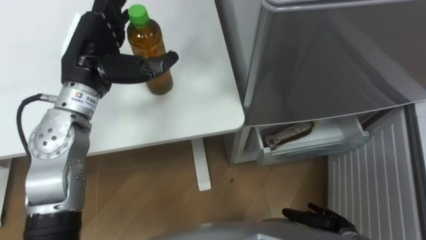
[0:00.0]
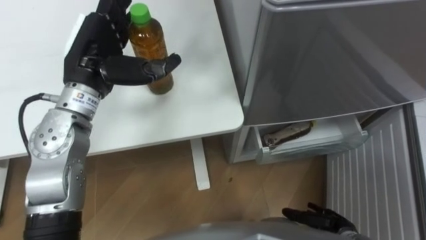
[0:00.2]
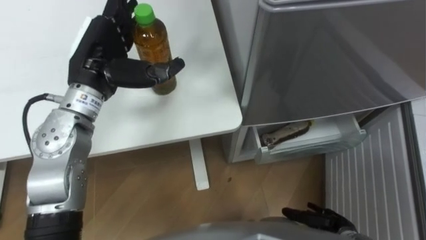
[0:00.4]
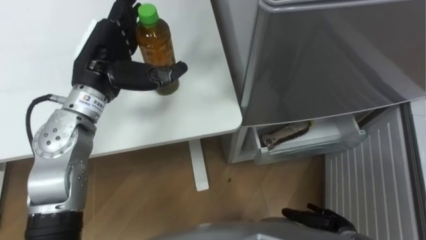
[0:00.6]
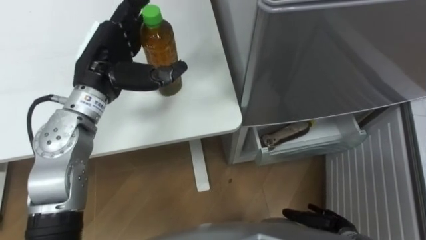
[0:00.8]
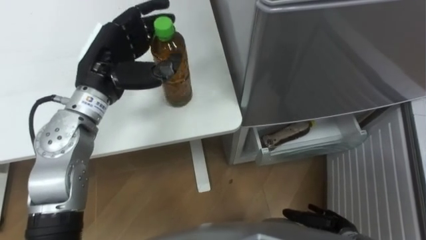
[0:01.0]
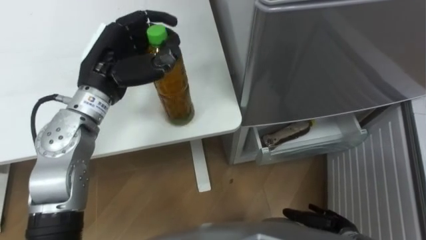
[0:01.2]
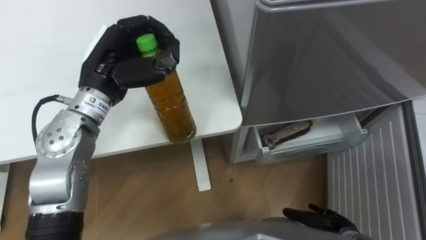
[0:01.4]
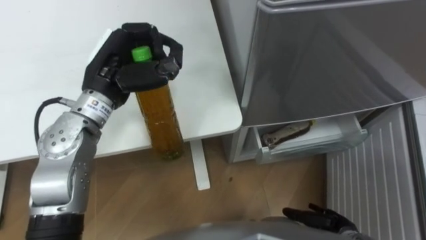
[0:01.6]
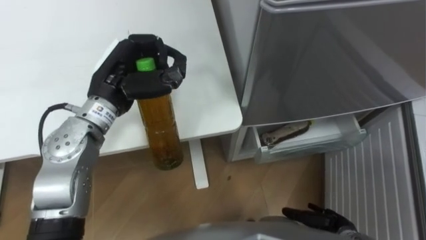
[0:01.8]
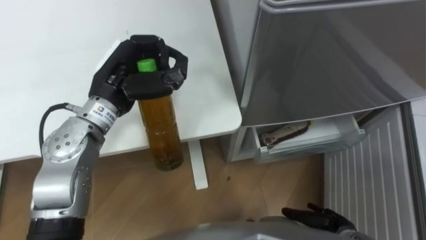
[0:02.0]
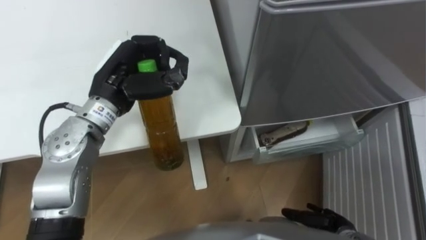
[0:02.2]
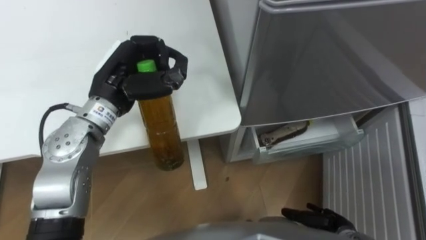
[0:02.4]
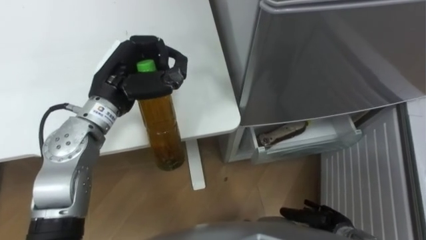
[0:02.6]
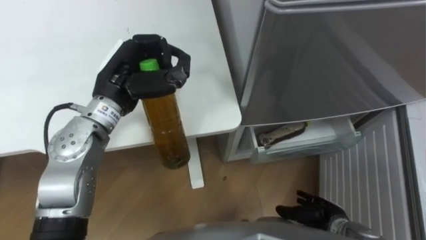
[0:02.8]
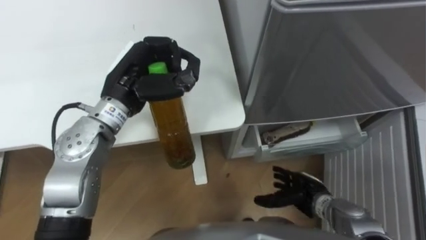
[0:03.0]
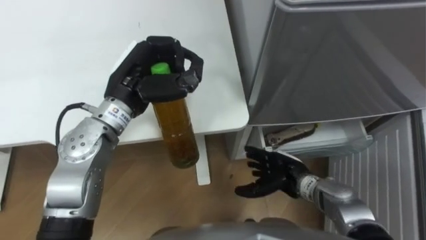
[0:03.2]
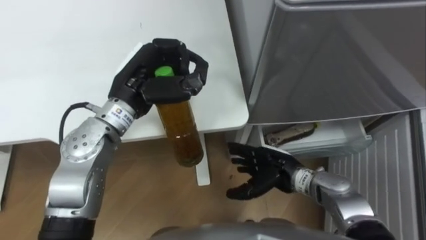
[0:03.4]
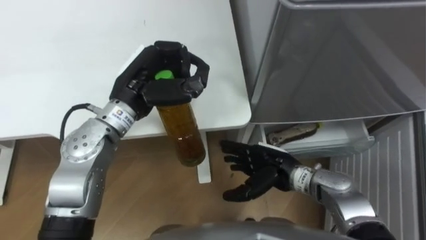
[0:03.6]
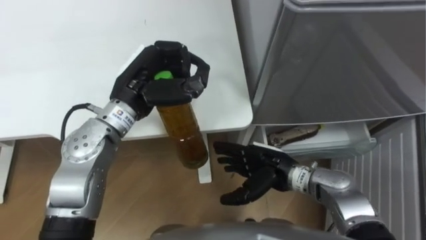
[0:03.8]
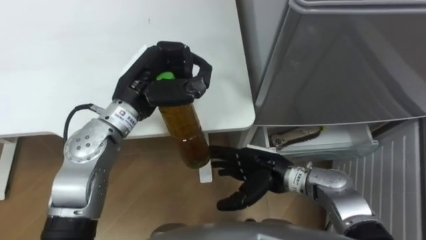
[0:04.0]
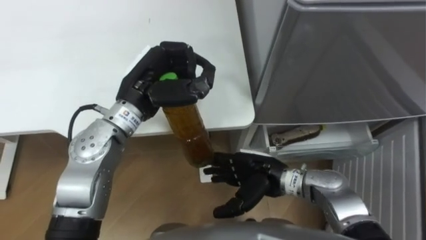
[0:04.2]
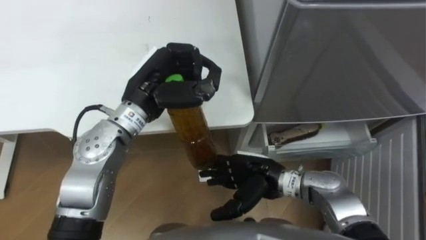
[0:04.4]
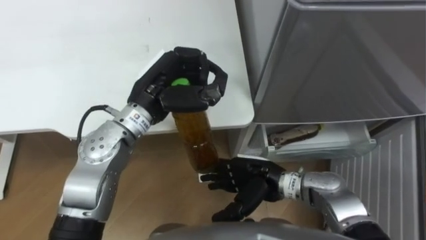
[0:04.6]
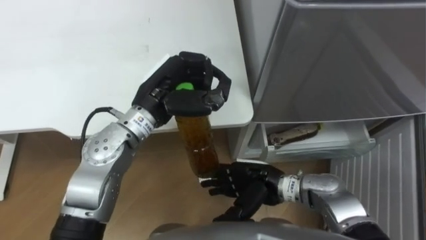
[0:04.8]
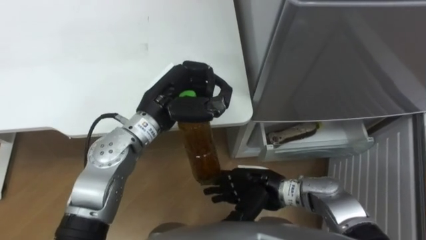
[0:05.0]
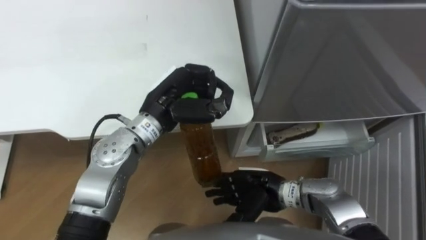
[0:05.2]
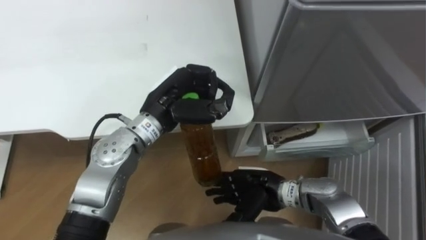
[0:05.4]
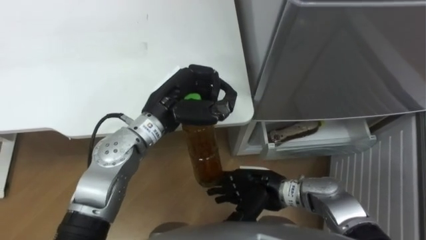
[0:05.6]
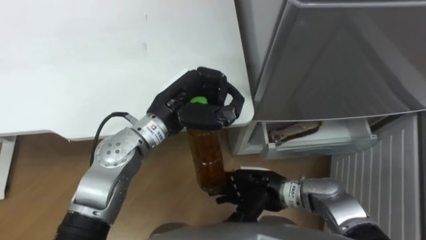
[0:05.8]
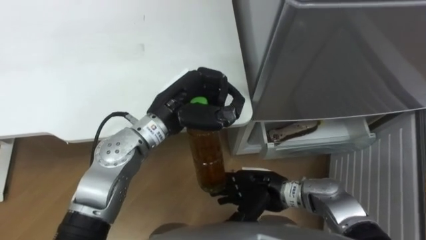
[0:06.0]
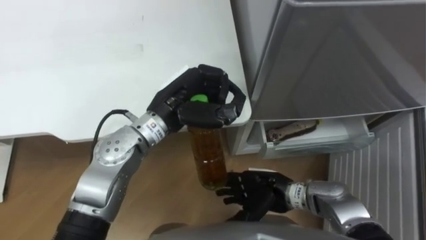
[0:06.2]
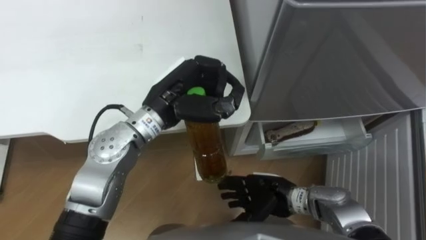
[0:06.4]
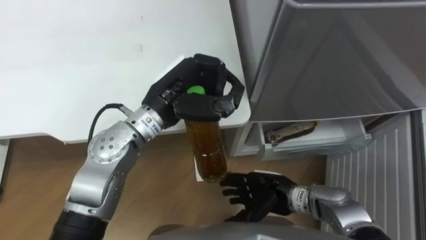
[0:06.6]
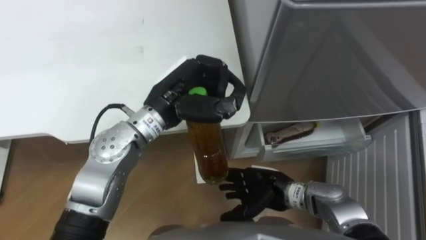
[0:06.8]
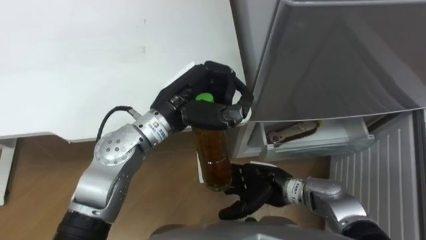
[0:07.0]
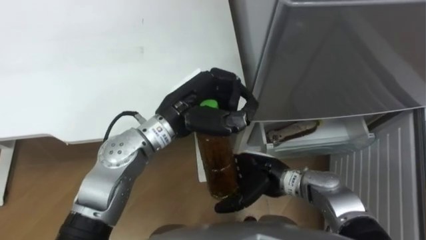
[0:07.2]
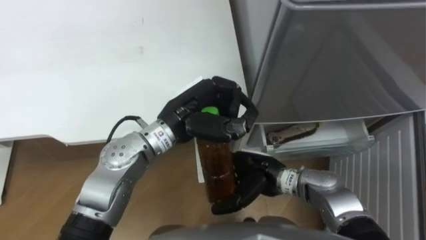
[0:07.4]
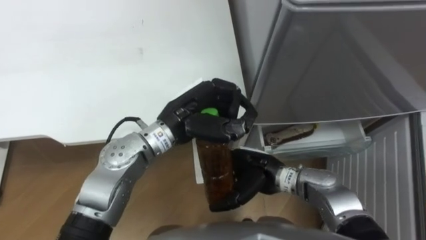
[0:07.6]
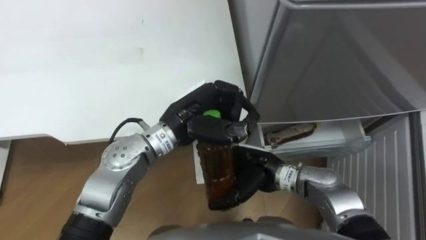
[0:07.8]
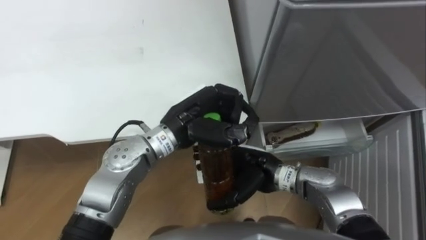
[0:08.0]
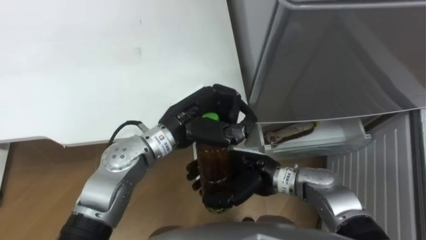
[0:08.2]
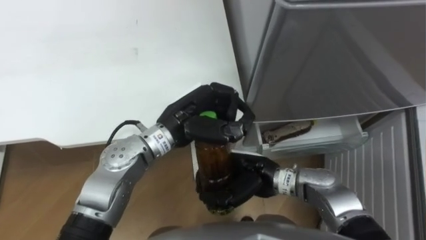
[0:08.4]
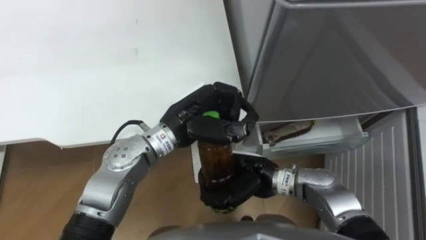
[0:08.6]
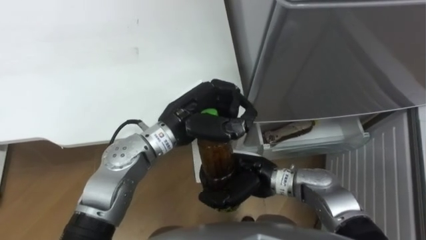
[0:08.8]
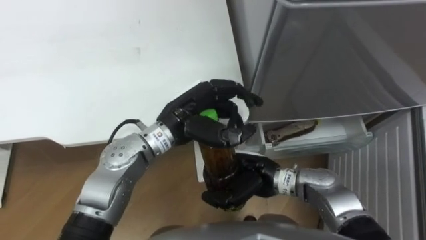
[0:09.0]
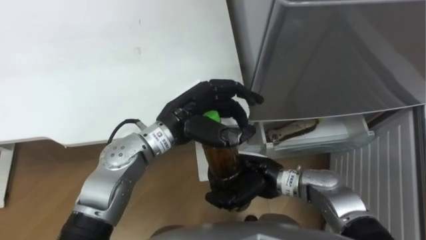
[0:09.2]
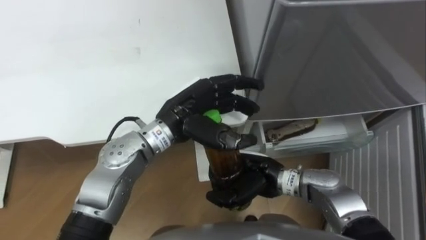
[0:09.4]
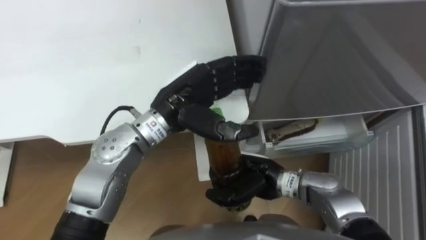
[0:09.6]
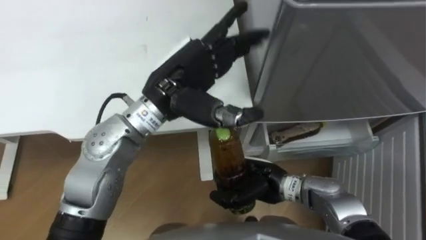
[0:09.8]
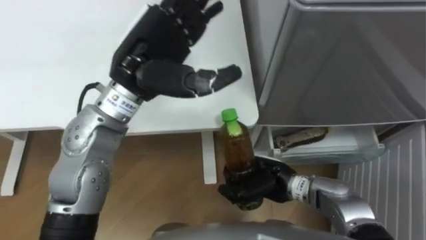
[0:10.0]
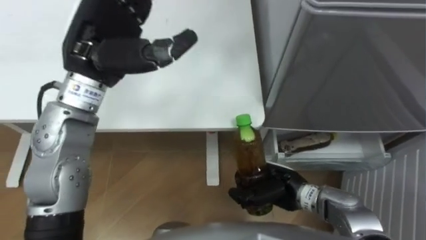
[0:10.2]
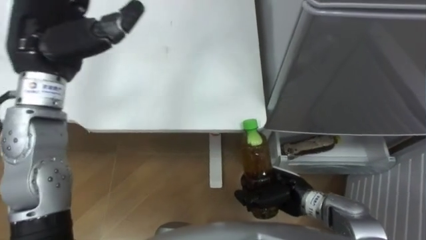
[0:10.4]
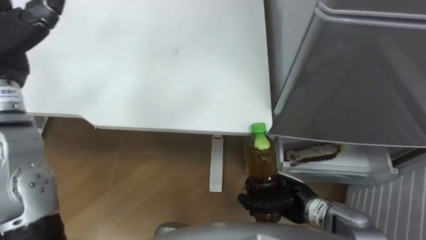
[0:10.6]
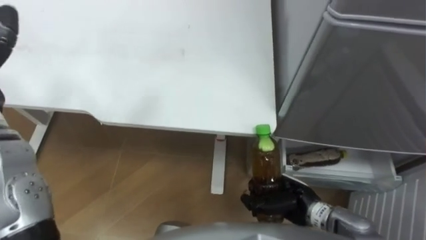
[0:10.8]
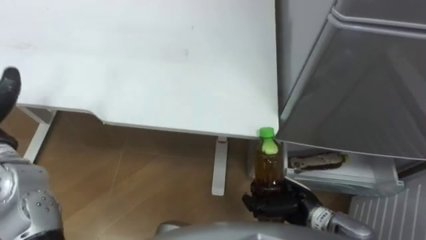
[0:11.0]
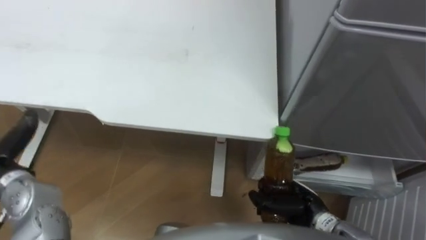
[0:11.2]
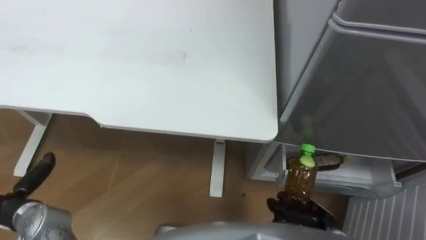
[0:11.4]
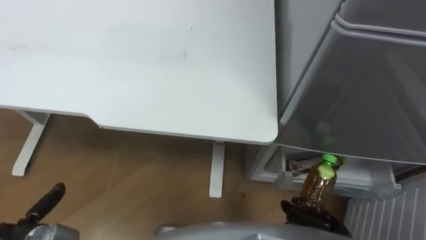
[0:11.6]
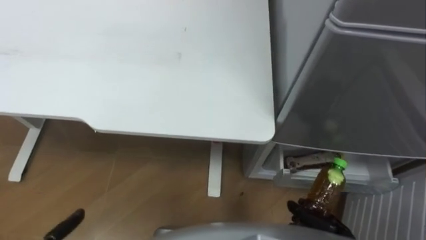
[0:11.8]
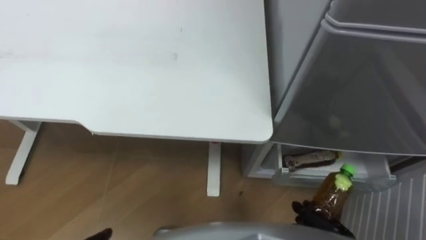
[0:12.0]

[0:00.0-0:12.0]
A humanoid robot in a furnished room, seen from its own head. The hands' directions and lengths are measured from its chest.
Task of the whole recording: Place the drink on the table on the bottom shelf of the refrigerator, then close the drawer and the refrigerator door.
0:00.0 to 0:01.6: The left hand closes its fingers.
0:01.6 to 0:03.0: The right hand travels forward by some 5 cm.
0:03.0 to 0:04.4: The right hand travels to the left and upward by roughly 15 cm.
0:04.4 to 0:06.0: The left hand ends up about 5 cm from where it was.
0:07.6 to 0:09.0: The right hand closes its fingers.
0:09.0 to 0:10.4: The left hand travels to the left and upward by approximately 20 cm, and opens up, while the right hand heads to the right and downward, covering approximately 10 cm.
0:10.4 to 0:12.0: The right hand moves backward, to the right and downward, about 15 cm.

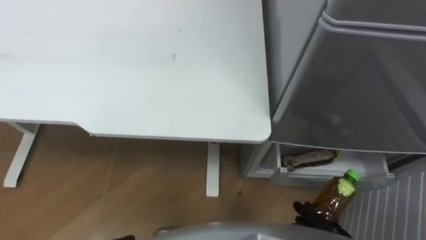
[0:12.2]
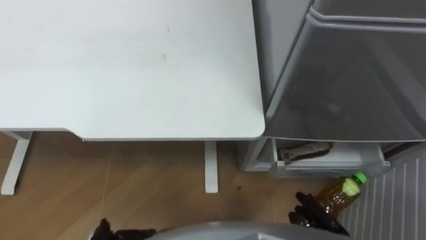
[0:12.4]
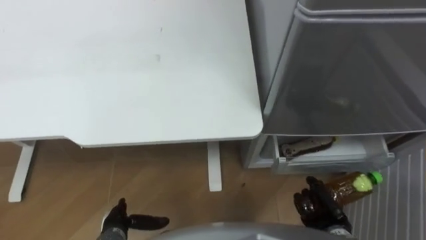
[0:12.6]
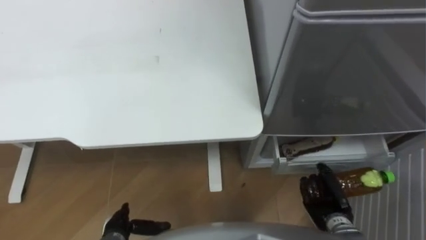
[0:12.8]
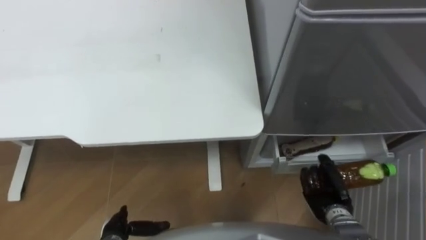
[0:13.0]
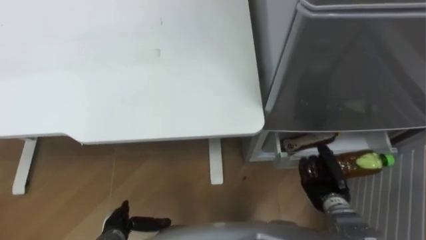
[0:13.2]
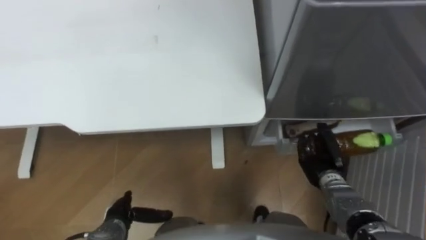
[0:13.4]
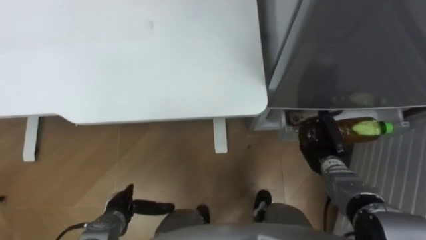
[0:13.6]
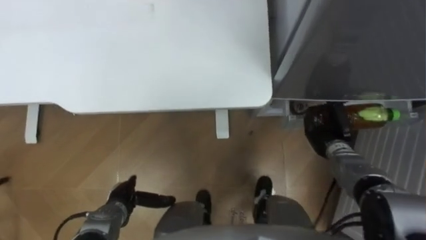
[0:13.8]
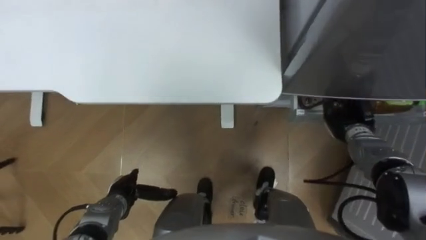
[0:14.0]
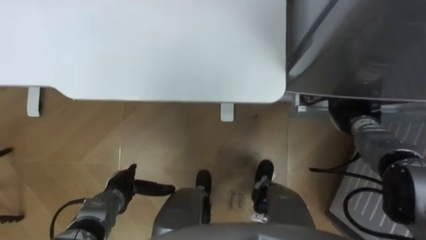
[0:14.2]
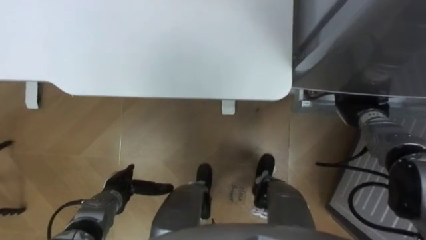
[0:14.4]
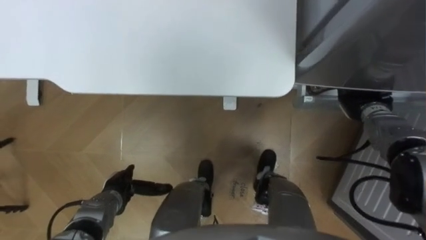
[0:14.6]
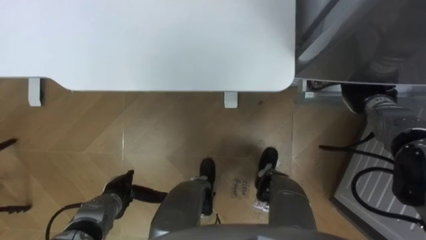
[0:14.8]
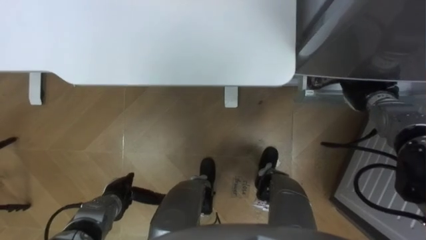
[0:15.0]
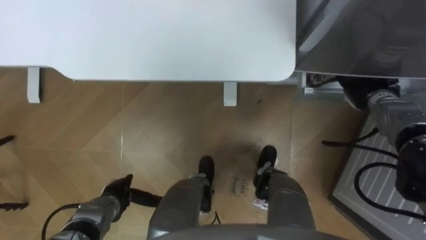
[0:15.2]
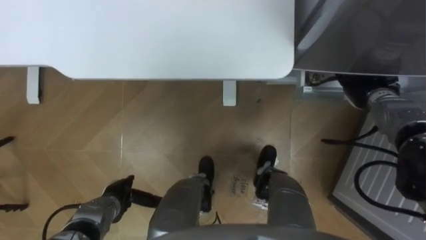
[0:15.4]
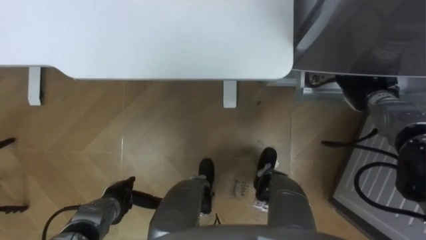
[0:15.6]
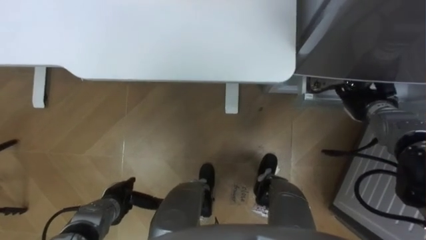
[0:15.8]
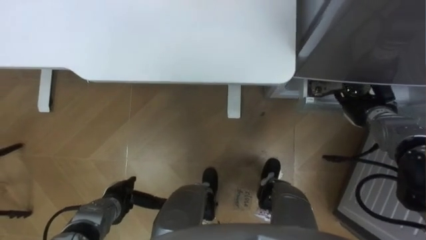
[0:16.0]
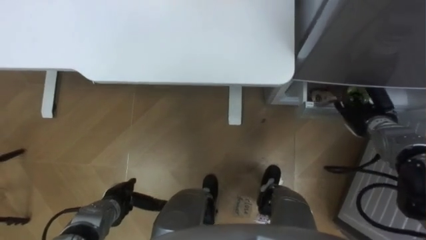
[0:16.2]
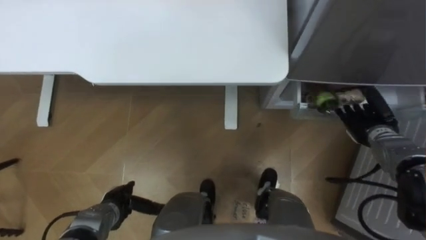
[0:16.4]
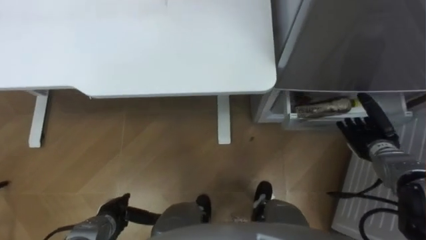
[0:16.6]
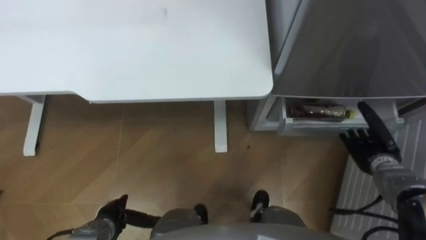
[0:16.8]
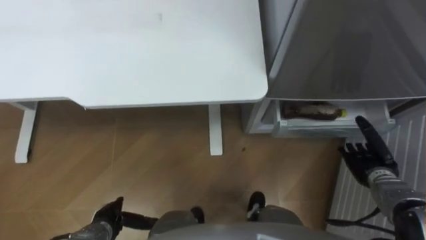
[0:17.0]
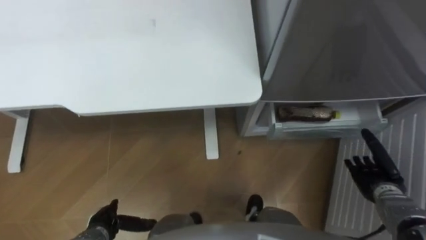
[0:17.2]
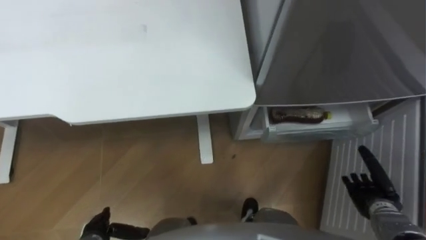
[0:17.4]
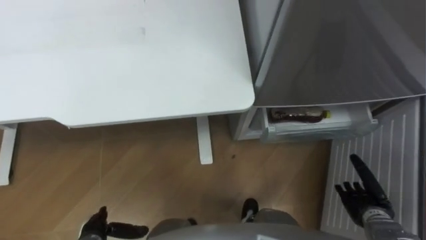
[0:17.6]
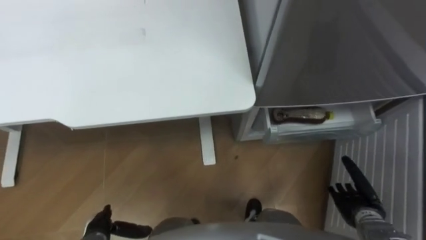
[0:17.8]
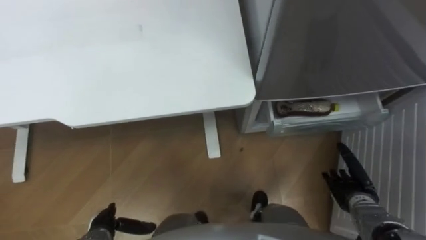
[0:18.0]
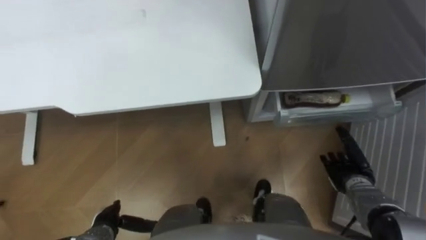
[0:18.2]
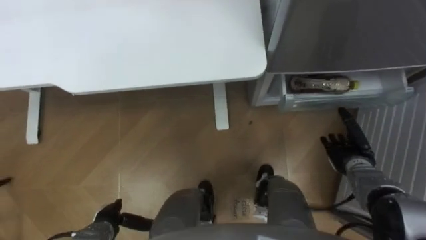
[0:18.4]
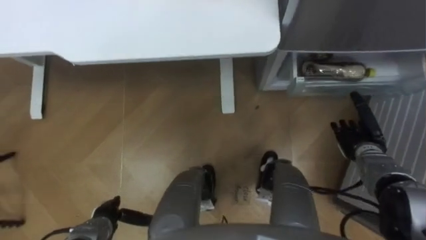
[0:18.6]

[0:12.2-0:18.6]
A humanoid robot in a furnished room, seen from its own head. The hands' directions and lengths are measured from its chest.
Task of the whole recording: Place the drink on the table on the bottom shelf of the refrigerator, then close the drawer and the refrigerator door.
0:12.2 to 0:13.8: The right hand goes about 20 cm forward.
0:13.8 to 0:15.4: The right hand goes about 15 cm forward, upward and to the right, and opens its fingers.
0:15.4 to 0:17.0: The left hand shifts some 5 cm backward. The right hand heads backward and downward, covering some 15 cm.
